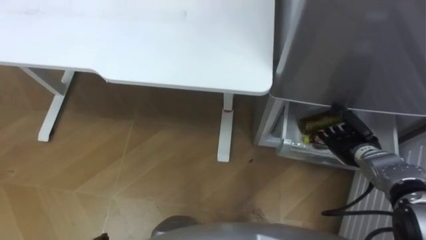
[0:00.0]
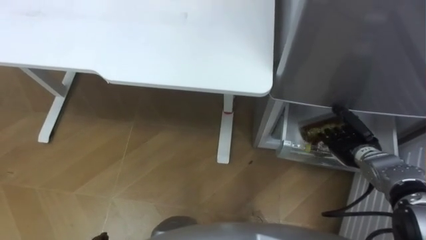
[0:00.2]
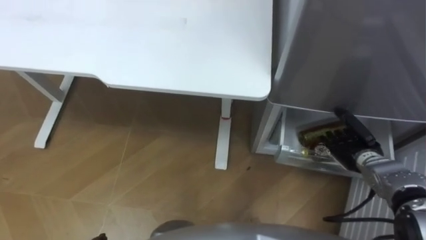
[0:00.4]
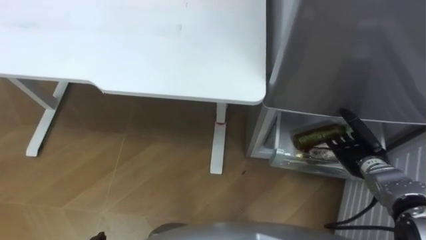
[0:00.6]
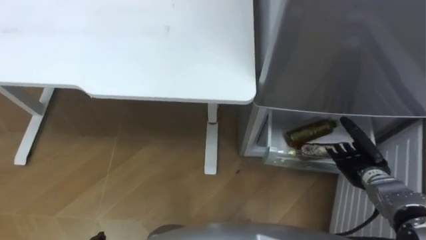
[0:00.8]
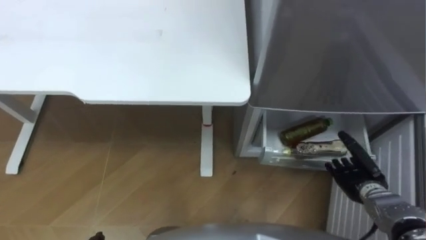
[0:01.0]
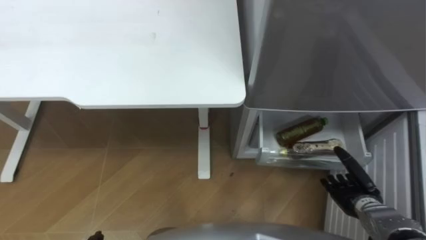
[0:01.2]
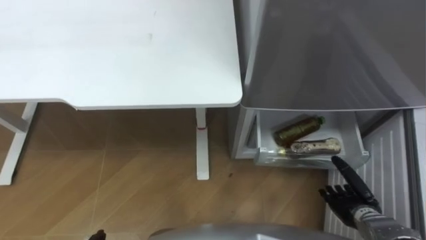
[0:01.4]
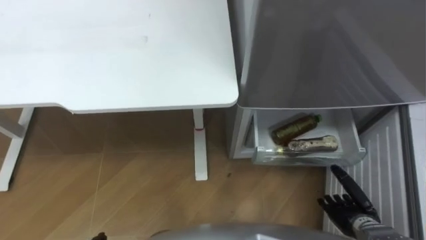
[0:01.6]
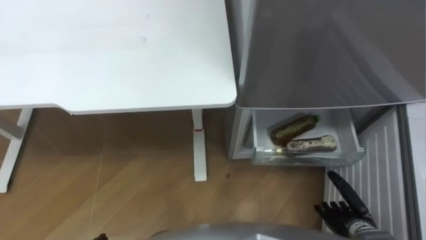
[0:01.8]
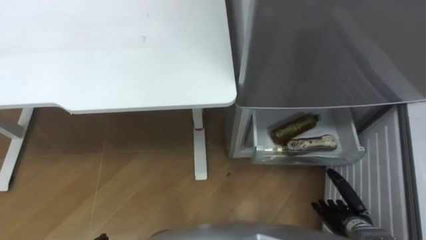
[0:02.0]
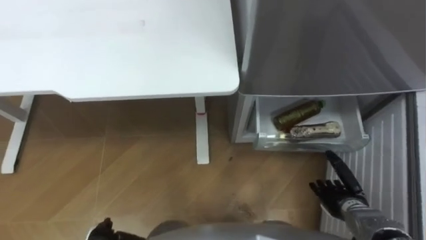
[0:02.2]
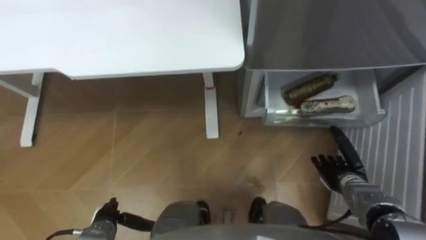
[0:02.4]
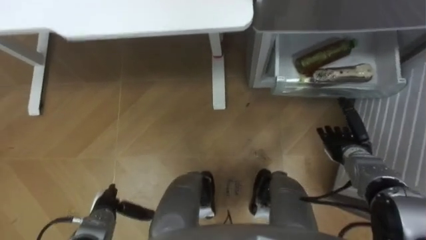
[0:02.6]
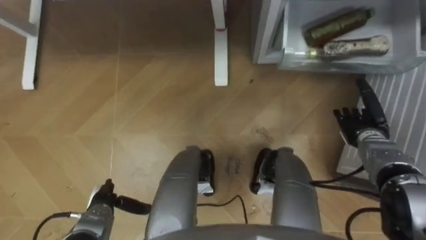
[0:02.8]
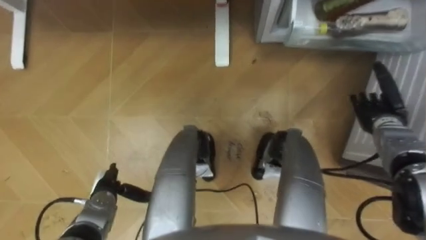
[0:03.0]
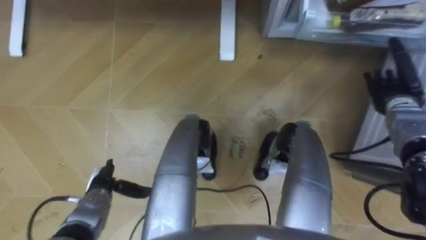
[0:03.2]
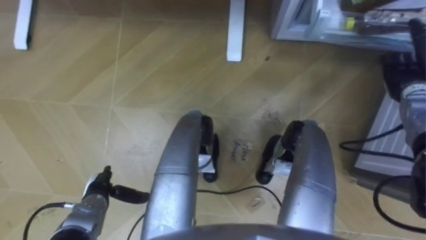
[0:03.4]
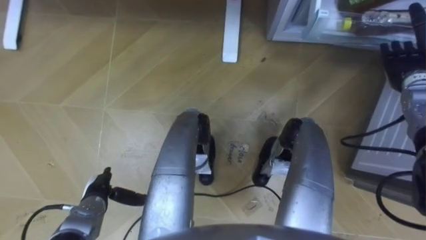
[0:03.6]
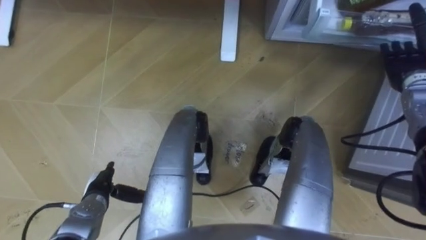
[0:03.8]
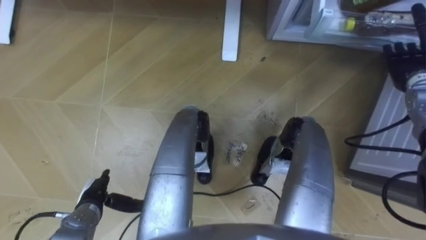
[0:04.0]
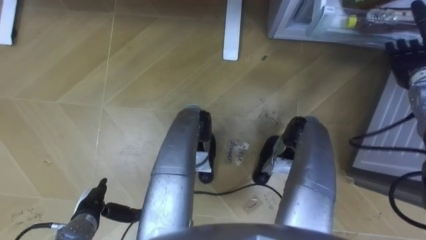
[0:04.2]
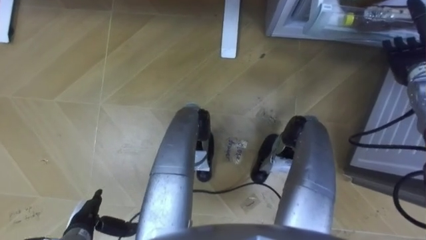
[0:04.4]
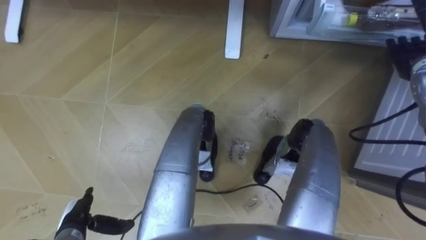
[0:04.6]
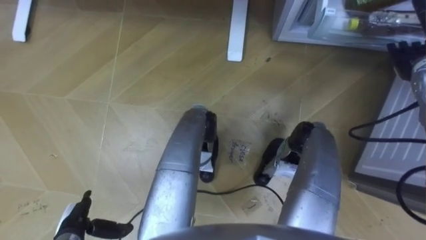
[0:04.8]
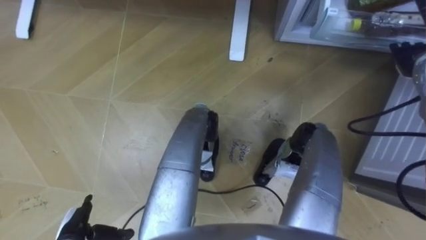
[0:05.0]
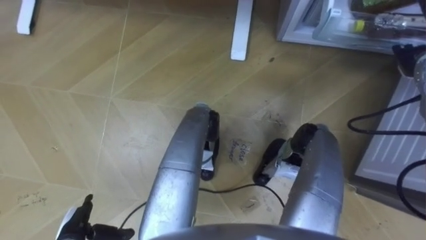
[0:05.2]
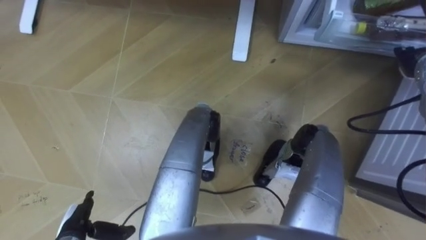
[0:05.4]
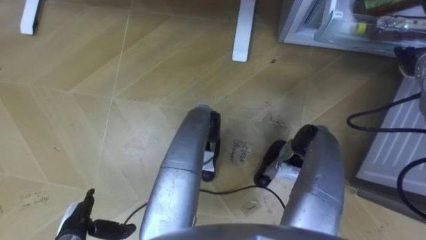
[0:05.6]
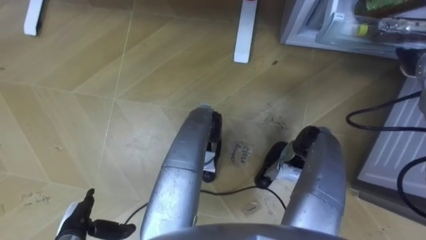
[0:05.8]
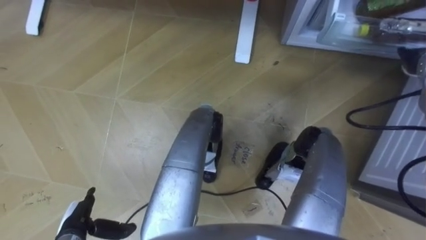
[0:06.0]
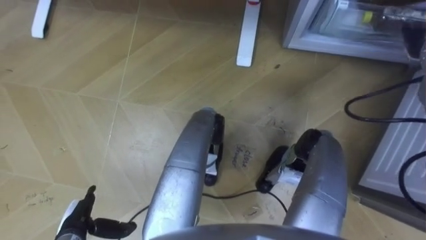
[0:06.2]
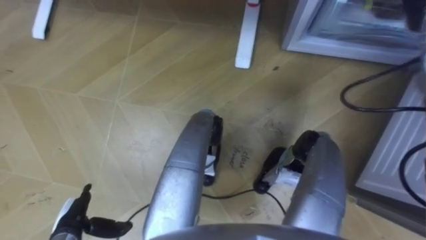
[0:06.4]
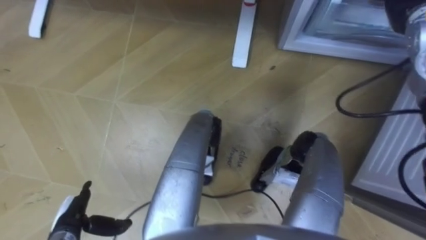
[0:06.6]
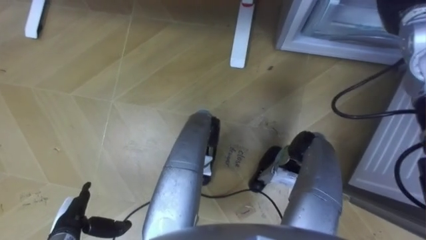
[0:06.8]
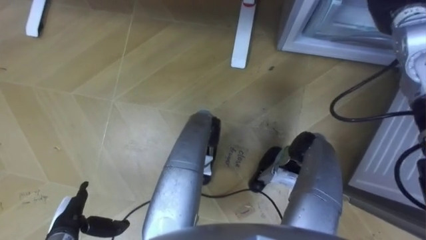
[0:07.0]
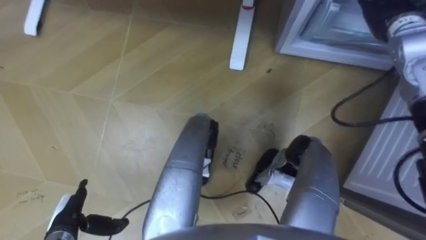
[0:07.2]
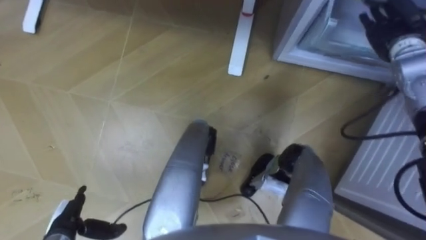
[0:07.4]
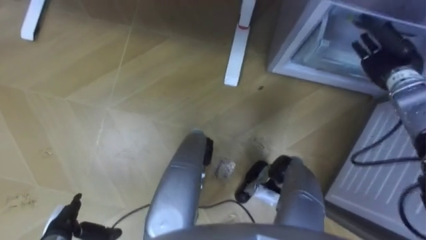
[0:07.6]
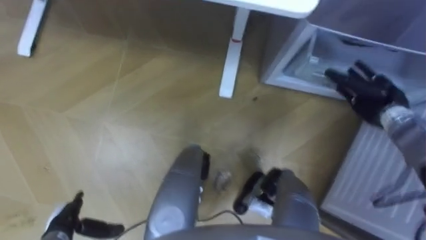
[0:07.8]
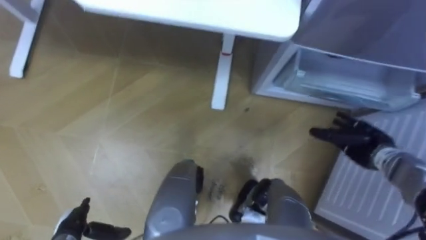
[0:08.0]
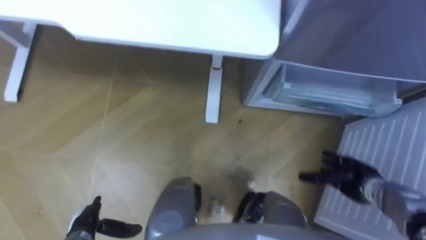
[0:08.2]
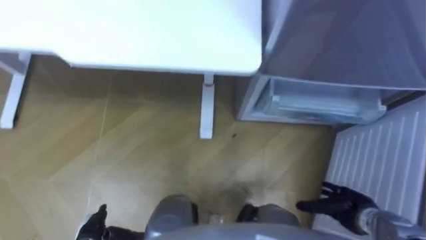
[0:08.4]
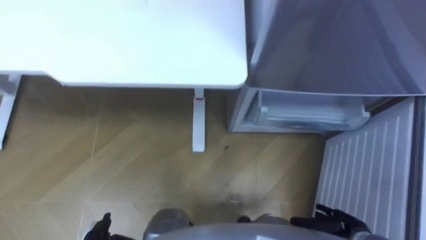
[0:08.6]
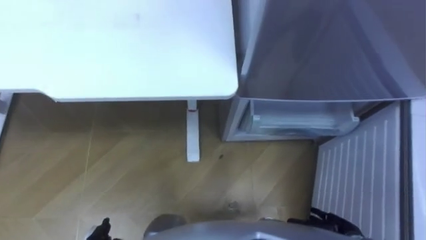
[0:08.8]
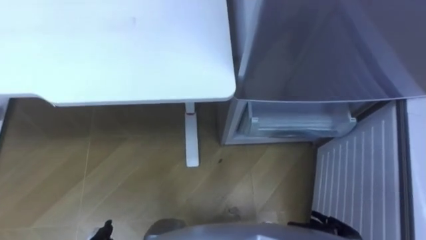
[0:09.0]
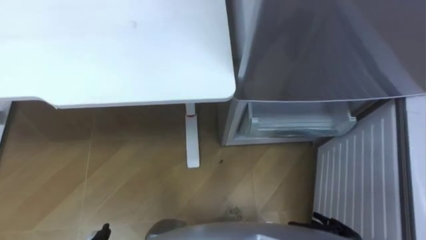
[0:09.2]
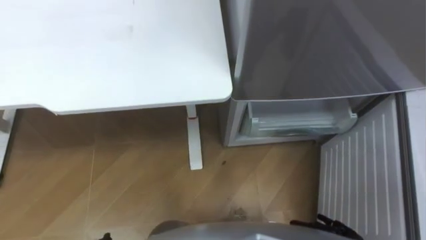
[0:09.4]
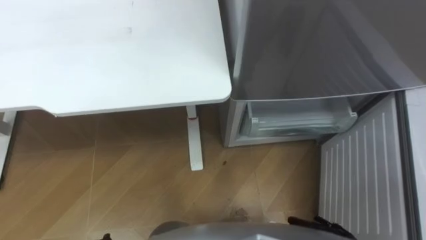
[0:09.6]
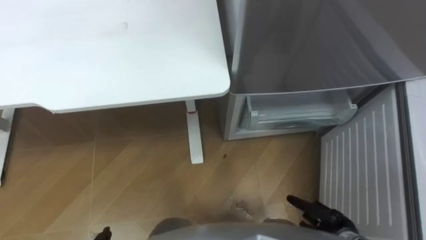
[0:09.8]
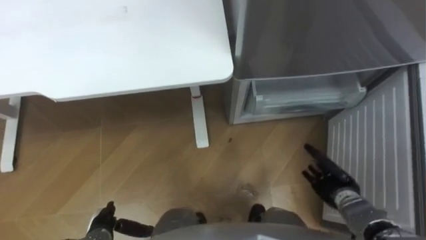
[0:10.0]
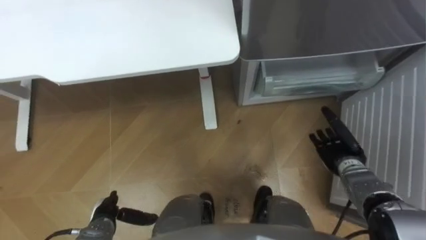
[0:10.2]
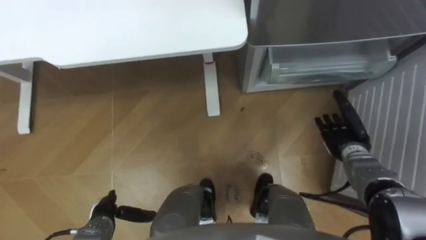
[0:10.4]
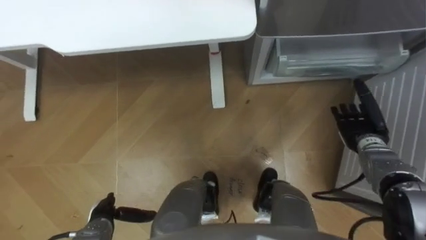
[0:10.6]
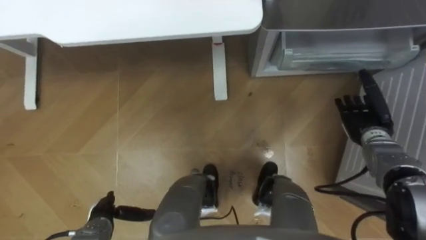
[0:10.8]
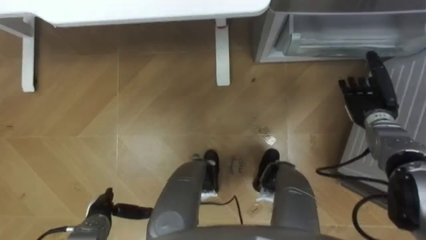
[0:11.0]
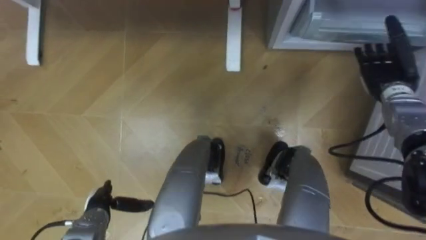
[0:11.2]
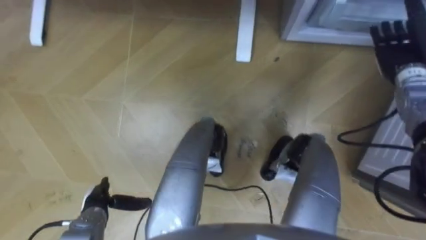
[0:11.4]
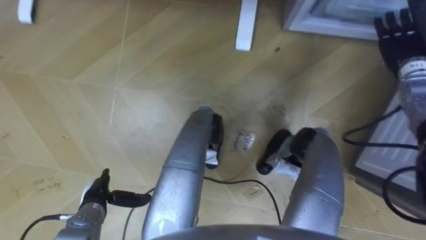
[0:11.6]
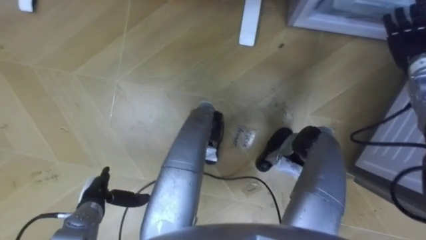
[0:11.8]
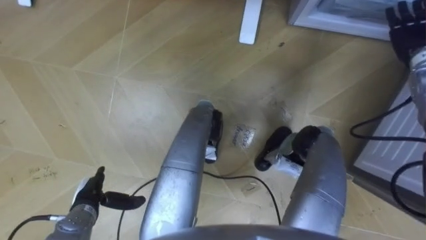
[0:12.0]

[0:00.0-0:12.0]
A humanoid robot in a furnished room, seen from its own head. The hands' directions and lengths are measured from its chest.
Task of the whole recording: Place the drink on the table on the bottom shelf of the refrigerator, then close the drawer and the refrigerator door.
0:00.0 to 0:01.6: The right hand shifts some 15 cm backward and downward.
0:01.6 to 0:03.0: The right hand moves forward and upward, some 20 cm.
0:03.0 to 0:04.4: The right hand goes roughly 15 cm upward and forward. The left hand is displaced backward by approximately 5 cm.
0:07.6 to 0:09.0: The right hand goes about 40 cm backward and downward.
0:10.4 to 0:12.0: The left hand ends up about 5 cm from where it was; the right hand shifts roughly 25 cm upward, forward and to the right.

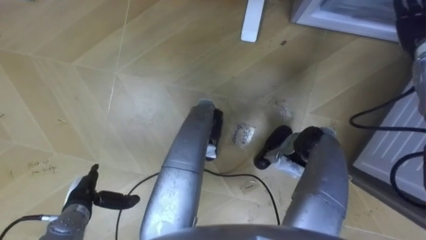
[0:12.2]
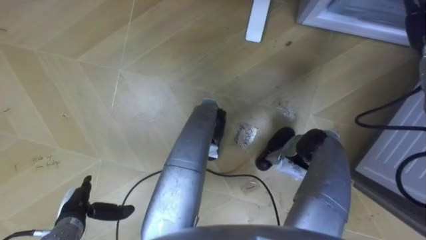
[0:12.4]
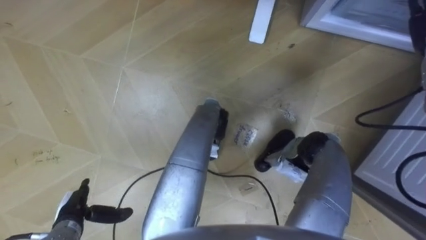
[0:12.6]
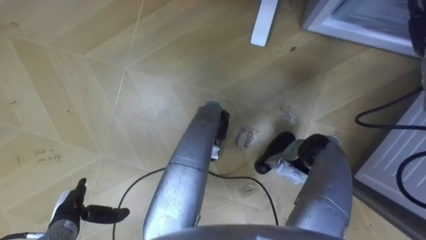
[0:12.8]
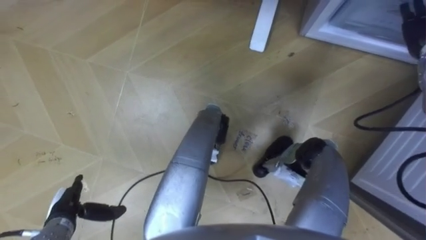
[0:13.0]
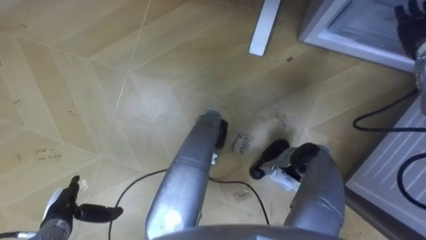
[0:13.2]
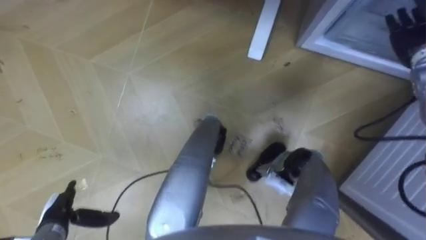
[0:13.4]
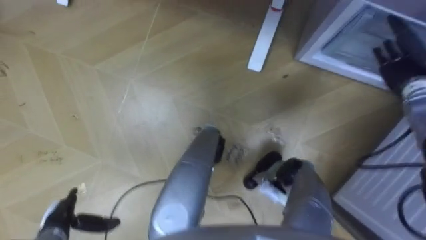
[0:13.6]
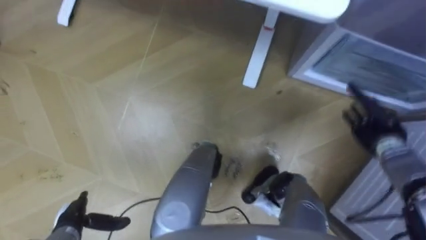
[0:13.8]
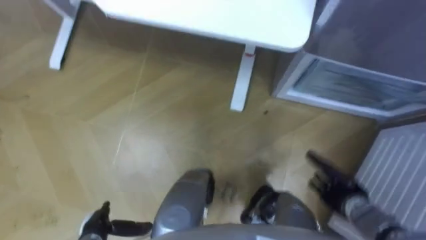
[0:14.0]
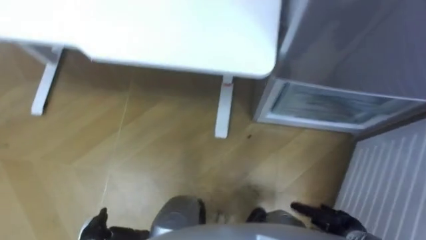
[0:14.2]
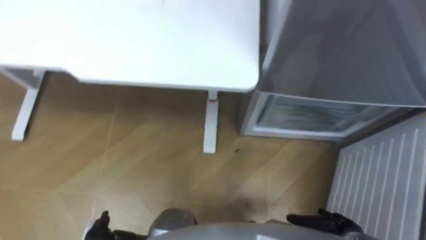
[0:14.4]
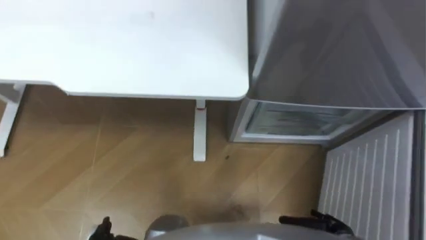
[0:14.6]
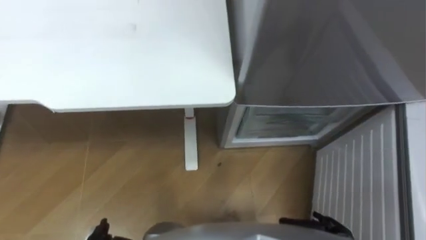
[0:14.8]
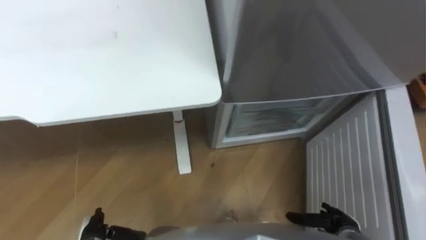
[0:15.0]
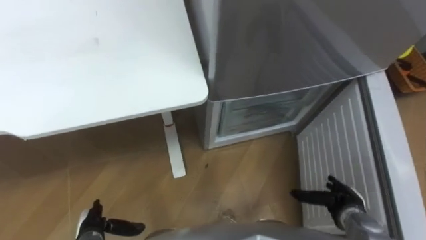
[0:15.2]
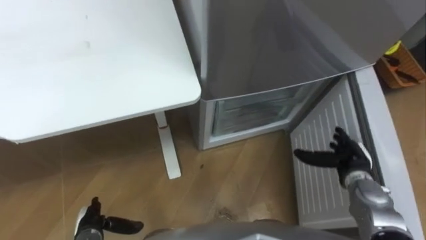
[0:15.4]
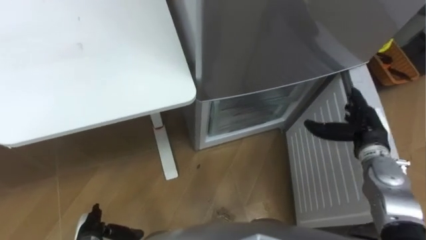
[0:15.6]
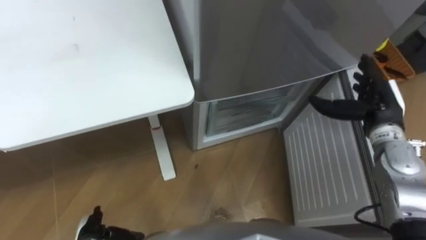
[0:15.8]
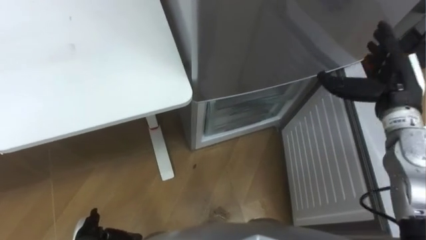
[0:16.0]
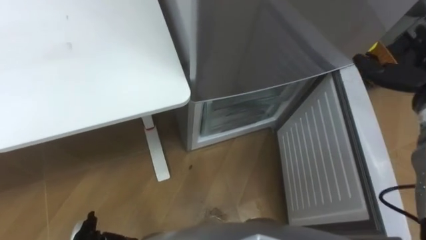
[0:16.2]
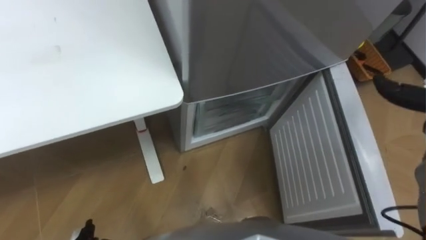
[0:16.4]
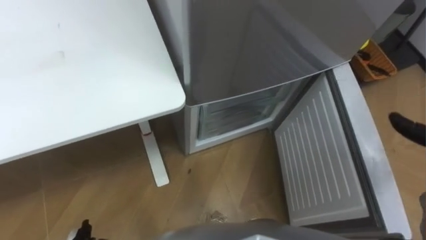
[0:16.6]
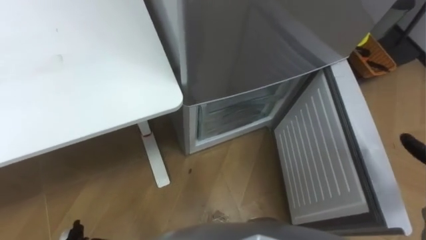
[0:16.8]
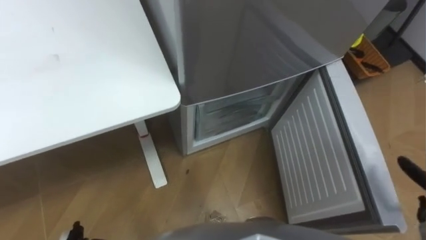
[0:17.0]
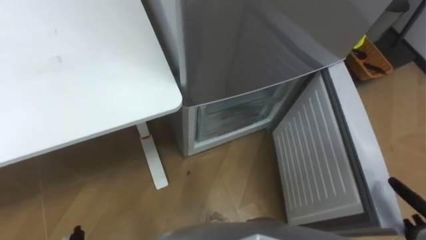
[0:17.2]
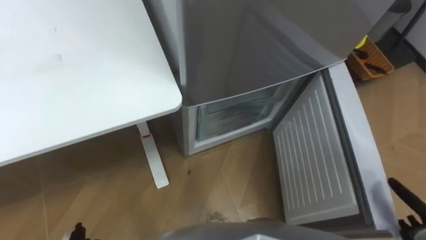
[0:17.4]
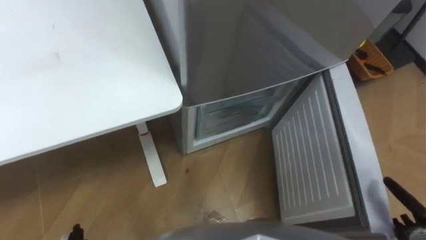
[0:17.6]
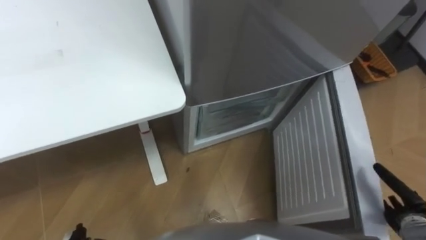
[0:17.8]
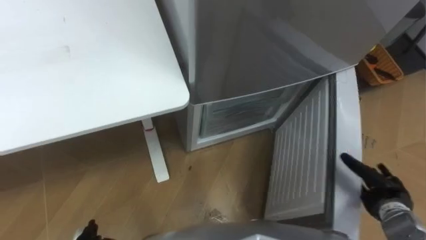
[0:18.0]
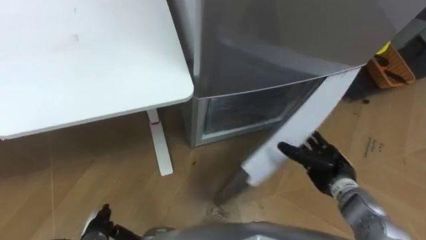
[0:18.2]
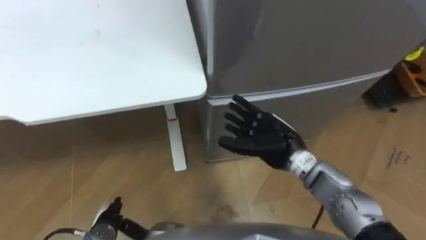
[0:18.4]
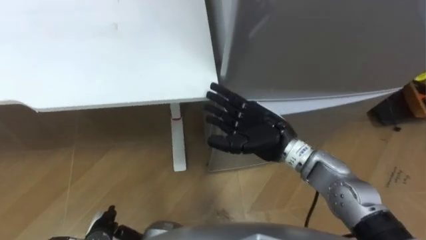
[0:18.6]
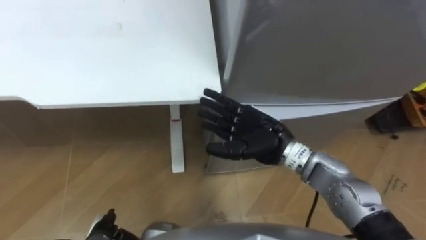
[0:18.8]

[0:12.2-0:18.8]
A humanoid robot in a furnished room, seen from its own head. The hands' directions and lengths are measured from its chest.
Task of the whole recording: Place the drink on the table on the bottom shelf of the refrigerator, then close the drawer and the refrigerator door.
0:12.2 to 0:13.8: The left hand moves backward, approximately 5 cm.
0:13.8 to 0:15.4: The right hand travels backward, downward and to the left by roughly 15 cm.
0:17.2 to 0:18.8: The right hand goes about 40 cm to the left and forward.
